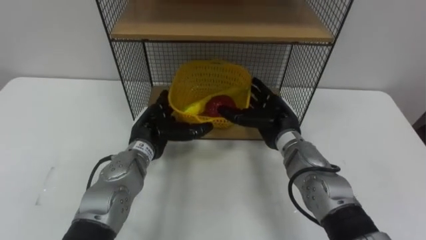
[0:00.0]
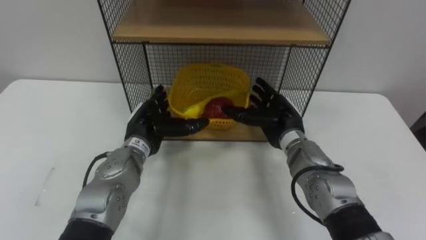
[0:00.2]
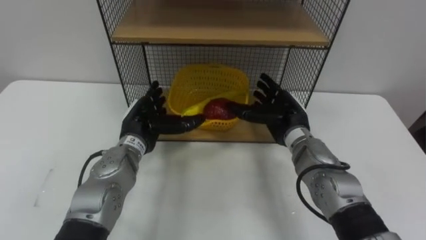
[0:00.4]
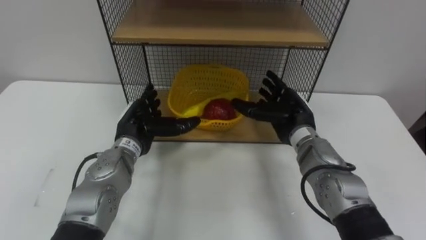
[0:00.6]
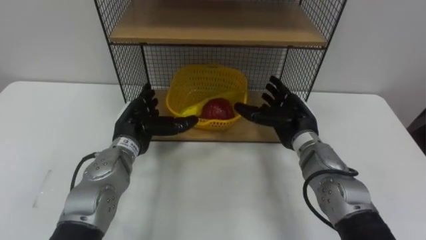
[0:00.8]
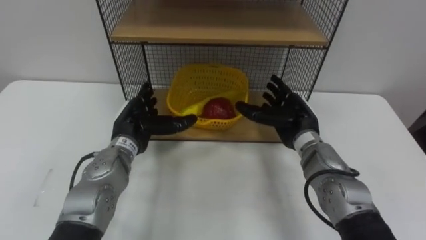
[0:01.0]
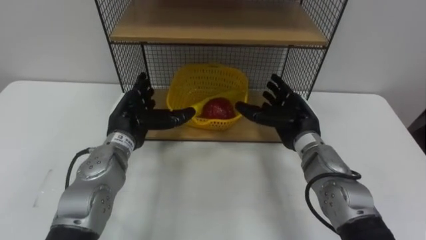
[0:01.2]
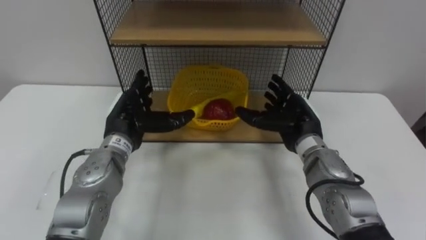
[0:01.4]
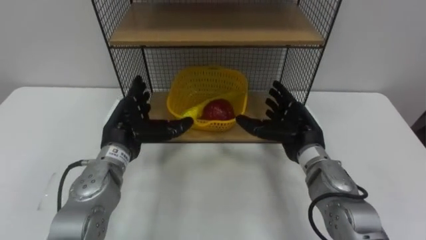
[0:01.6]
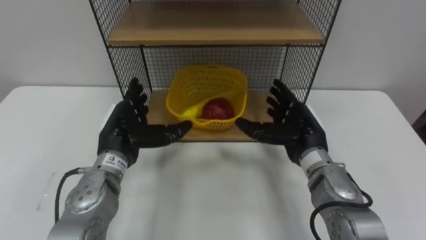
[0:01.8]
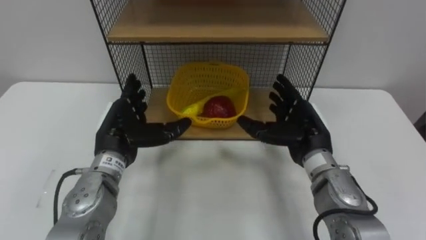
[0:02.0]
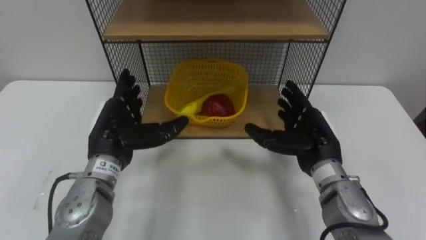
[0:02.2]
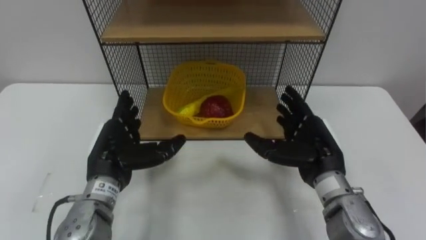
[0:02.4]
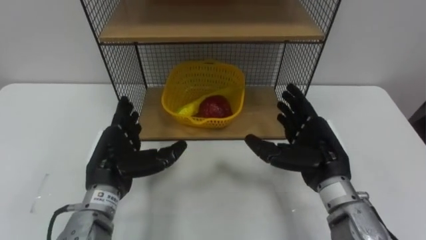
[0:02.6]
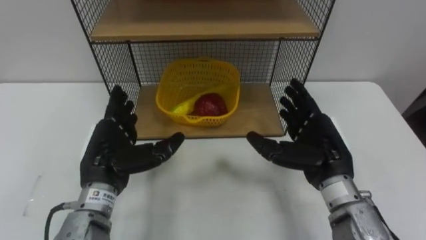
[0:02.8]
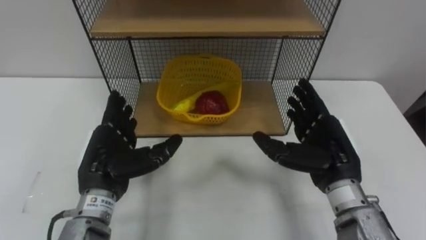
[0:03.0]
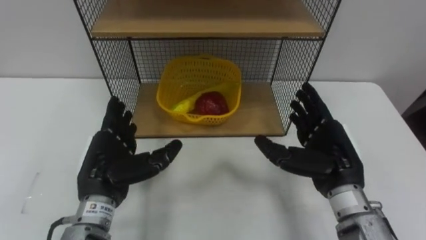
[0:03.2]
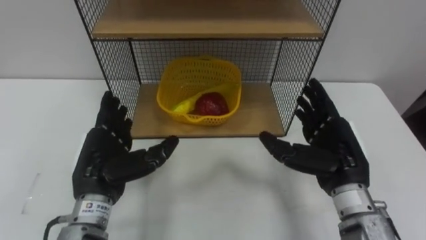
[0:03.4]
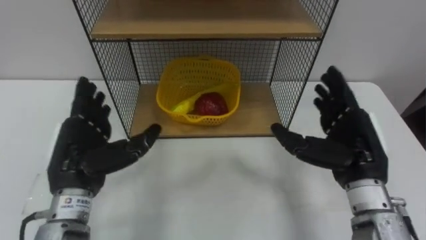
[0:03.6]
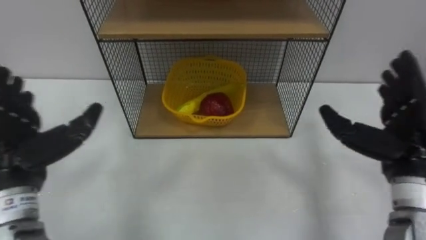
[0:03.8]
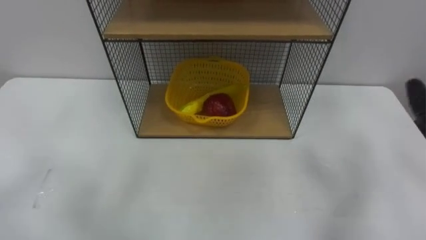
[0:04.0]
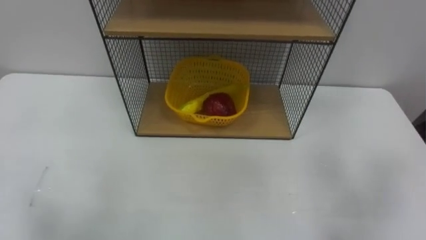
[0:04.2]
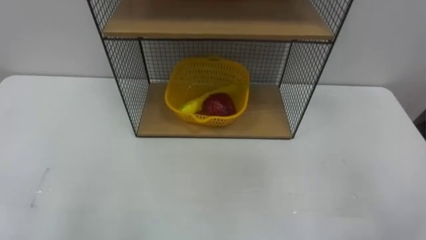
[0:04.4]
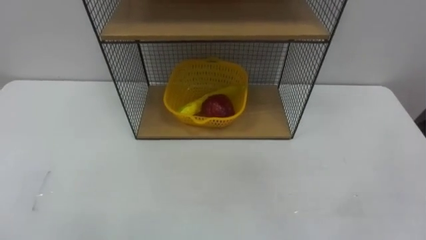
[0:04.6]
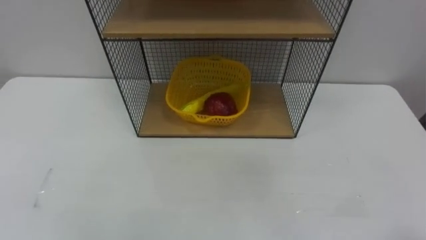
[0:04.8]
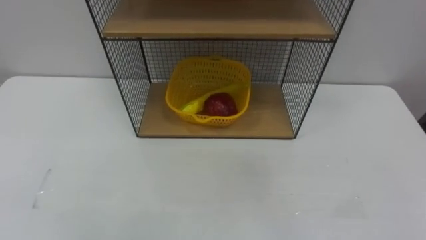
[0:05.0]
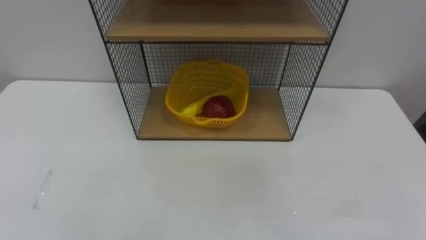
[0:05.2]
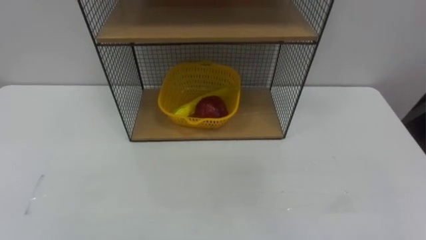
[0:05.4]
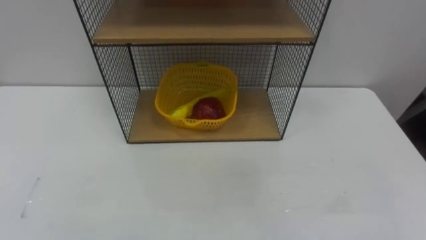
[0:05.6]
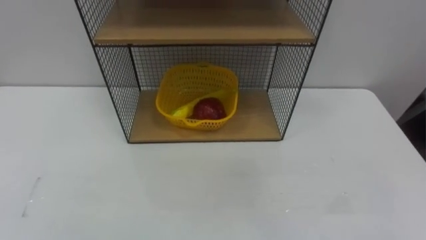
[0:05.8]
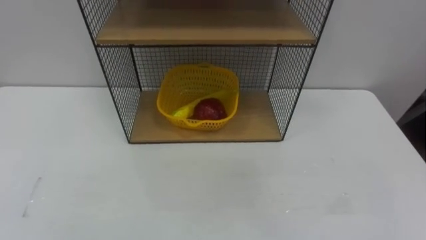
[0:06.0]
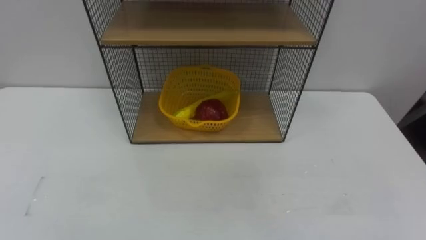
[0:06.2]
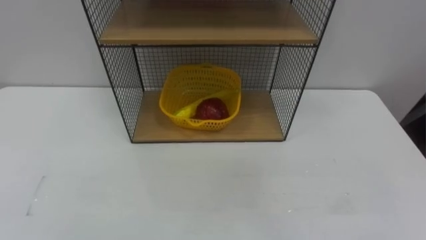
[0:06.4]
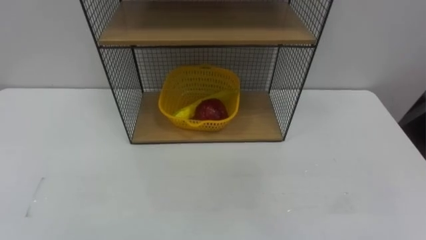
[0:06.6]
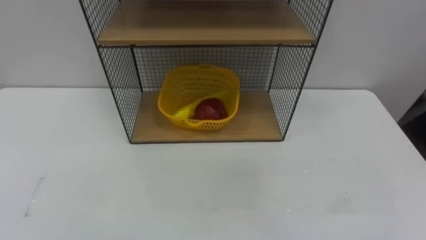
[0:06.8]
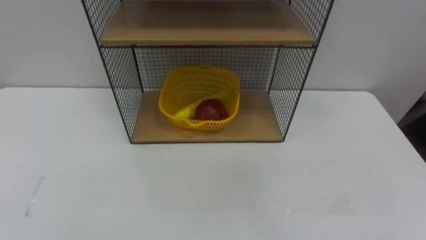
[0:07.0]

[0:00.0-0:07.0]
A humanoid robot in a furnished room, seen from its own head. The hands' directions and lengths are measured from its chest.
Task of the whole recording: Put the fruit on the table into the basket, then place the basket on the shelf.
0:00.0 to 0:01.4: The left hand shifts by approximately 5 cm.
0:01.4 to 0:02.8: The two hands go some 10 cm backward.

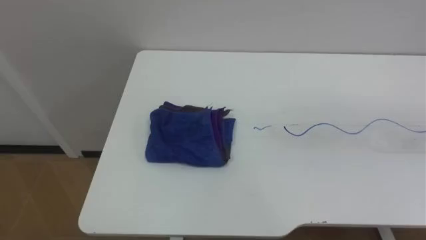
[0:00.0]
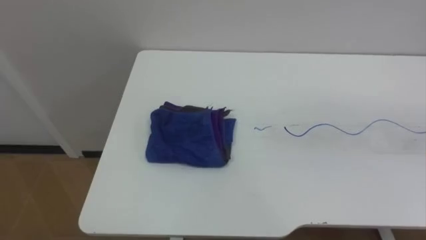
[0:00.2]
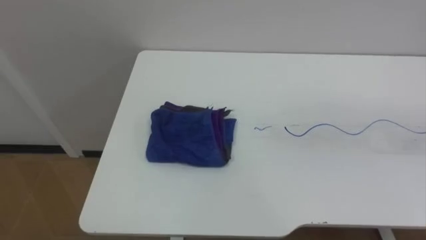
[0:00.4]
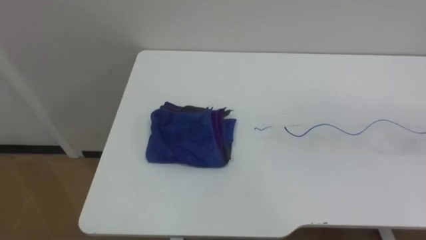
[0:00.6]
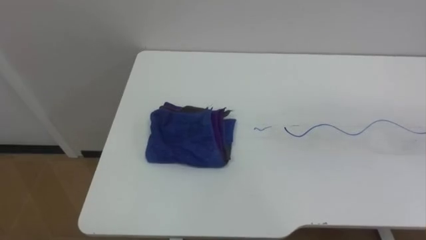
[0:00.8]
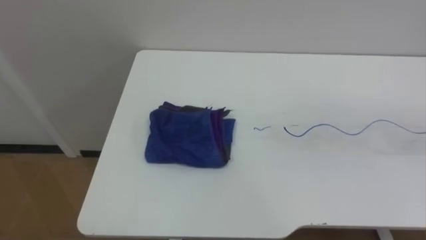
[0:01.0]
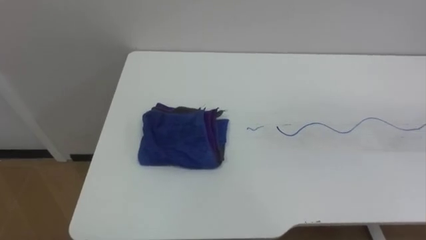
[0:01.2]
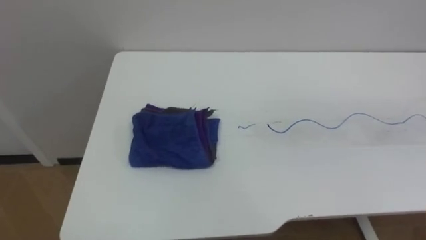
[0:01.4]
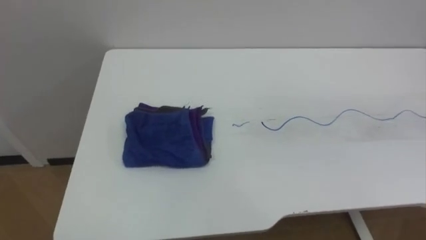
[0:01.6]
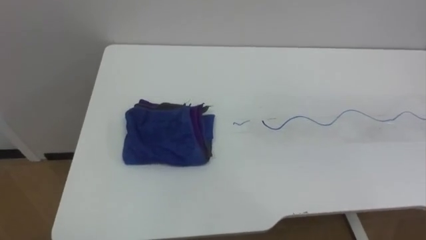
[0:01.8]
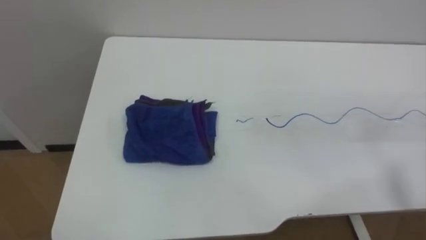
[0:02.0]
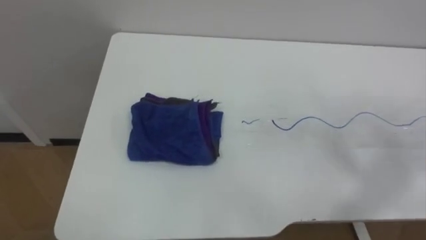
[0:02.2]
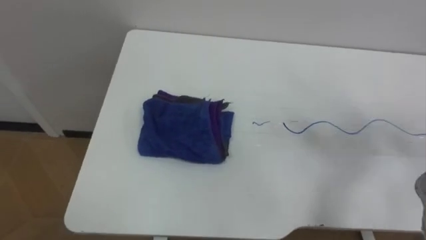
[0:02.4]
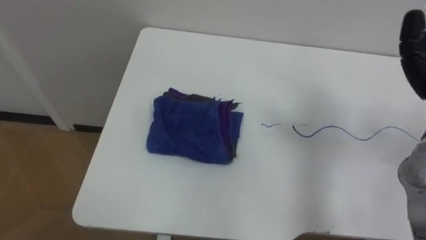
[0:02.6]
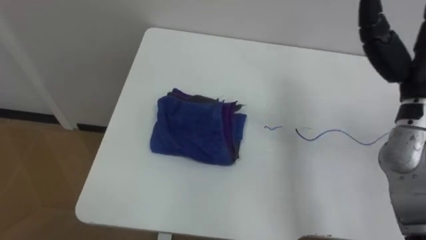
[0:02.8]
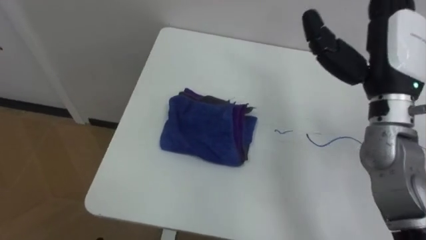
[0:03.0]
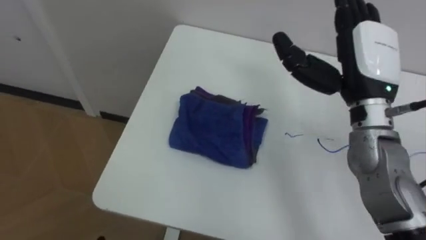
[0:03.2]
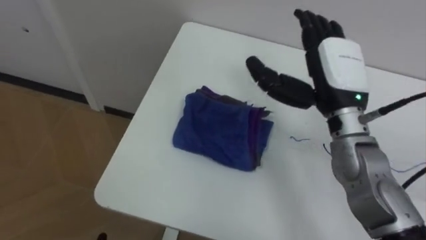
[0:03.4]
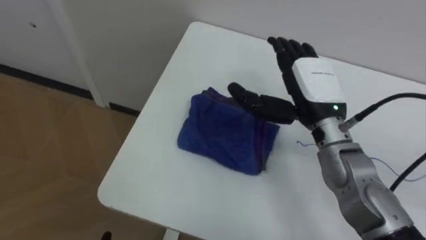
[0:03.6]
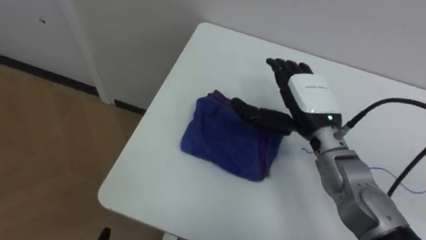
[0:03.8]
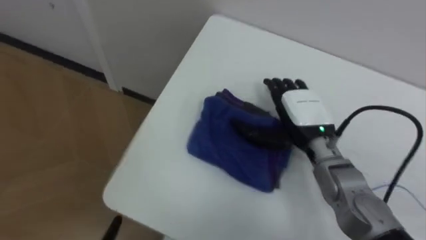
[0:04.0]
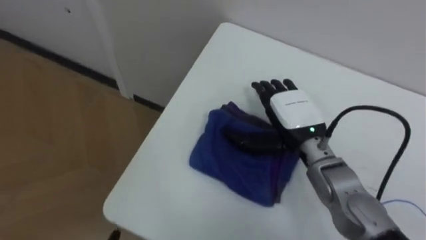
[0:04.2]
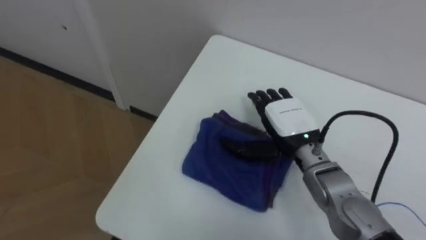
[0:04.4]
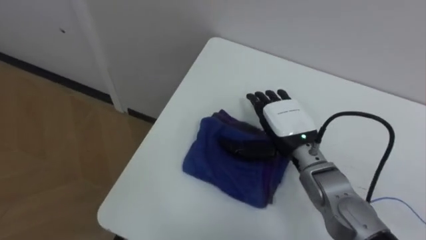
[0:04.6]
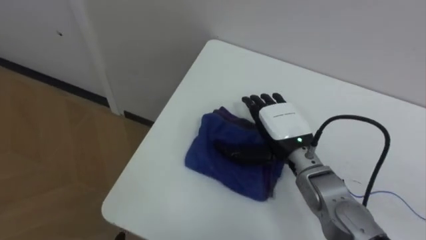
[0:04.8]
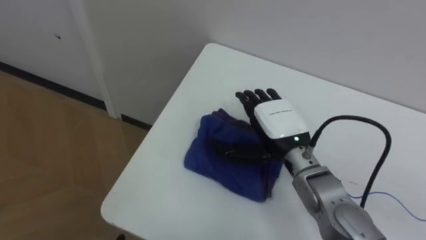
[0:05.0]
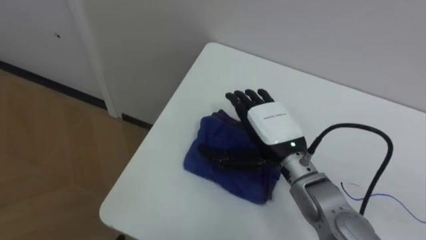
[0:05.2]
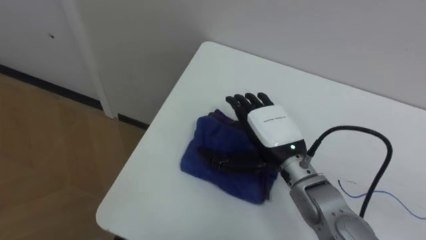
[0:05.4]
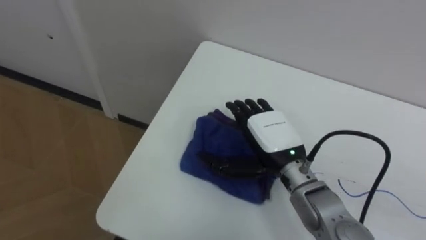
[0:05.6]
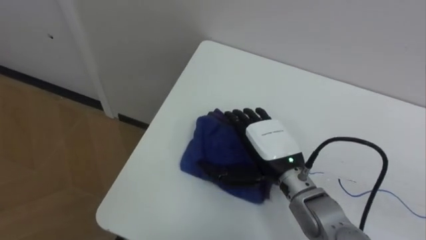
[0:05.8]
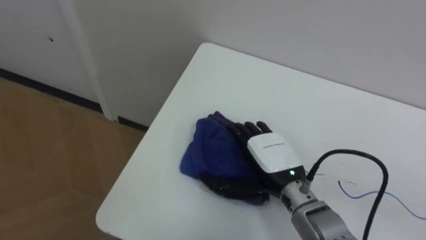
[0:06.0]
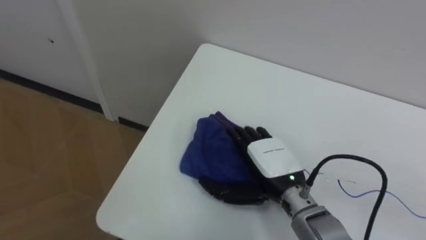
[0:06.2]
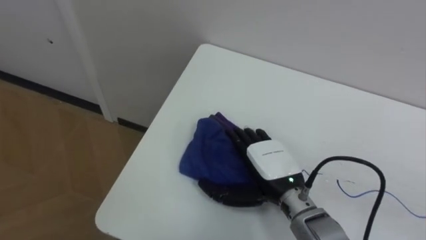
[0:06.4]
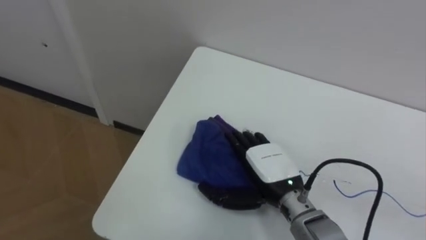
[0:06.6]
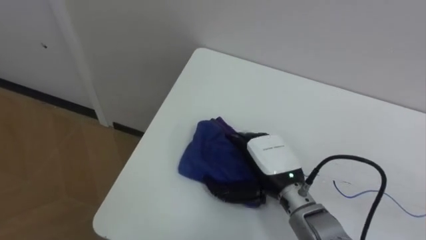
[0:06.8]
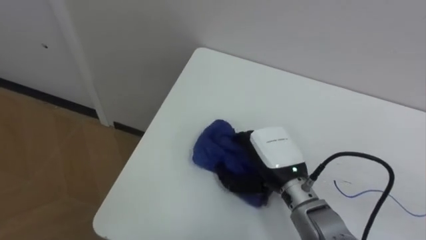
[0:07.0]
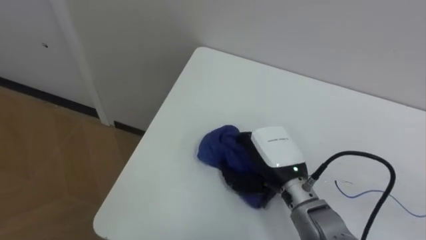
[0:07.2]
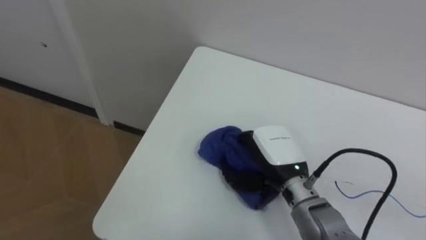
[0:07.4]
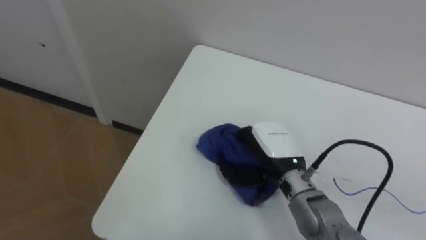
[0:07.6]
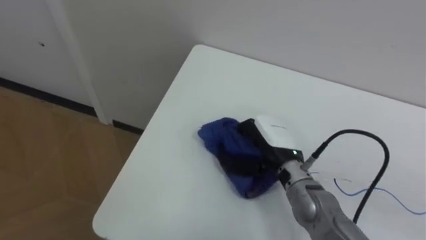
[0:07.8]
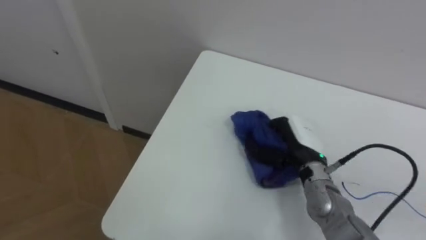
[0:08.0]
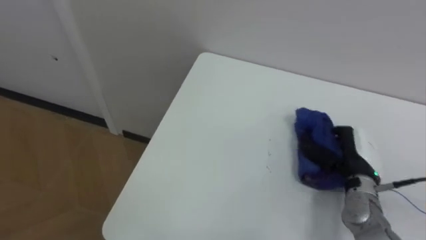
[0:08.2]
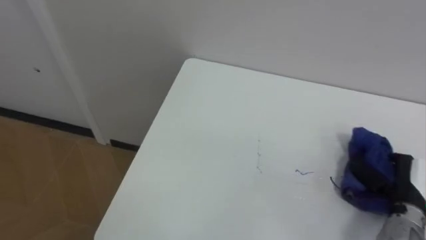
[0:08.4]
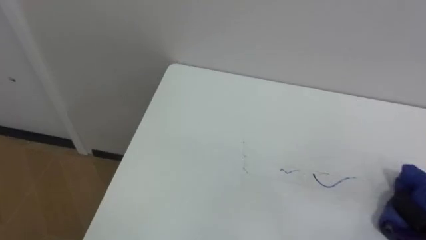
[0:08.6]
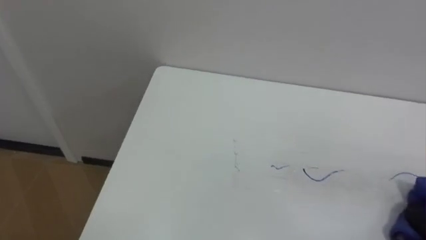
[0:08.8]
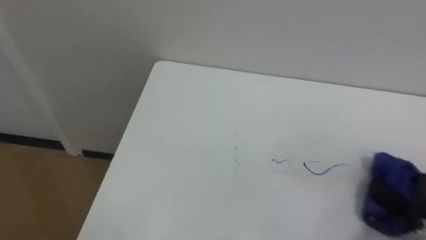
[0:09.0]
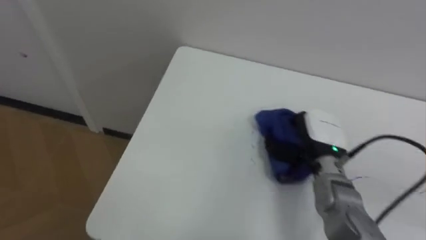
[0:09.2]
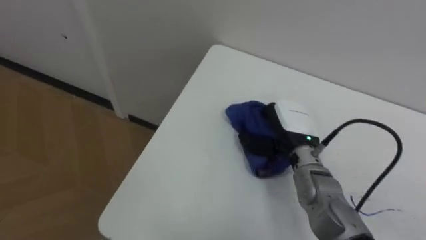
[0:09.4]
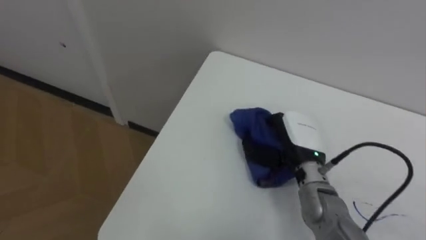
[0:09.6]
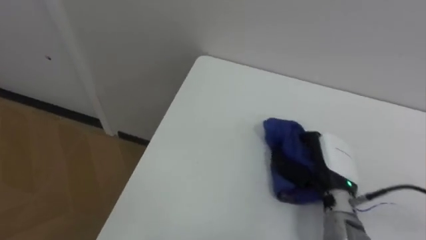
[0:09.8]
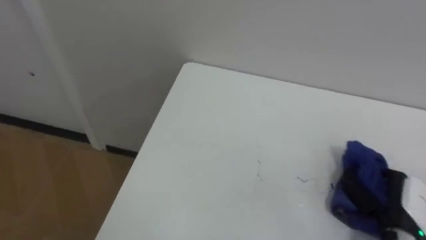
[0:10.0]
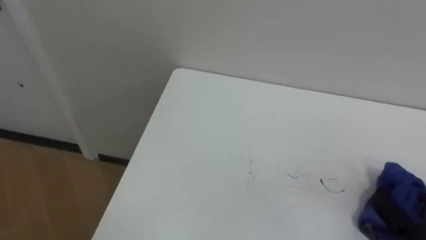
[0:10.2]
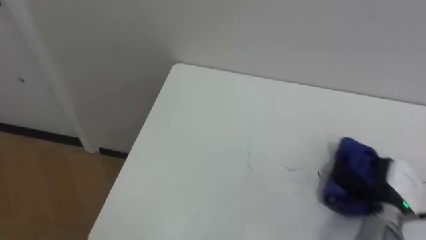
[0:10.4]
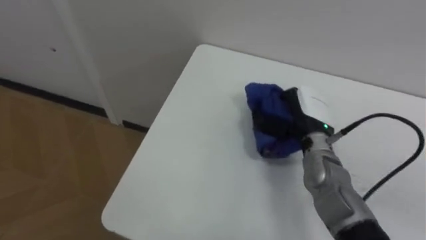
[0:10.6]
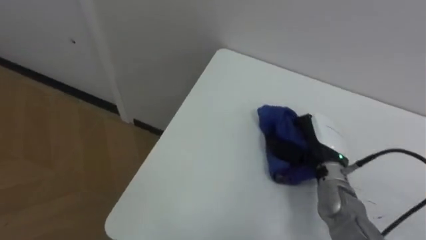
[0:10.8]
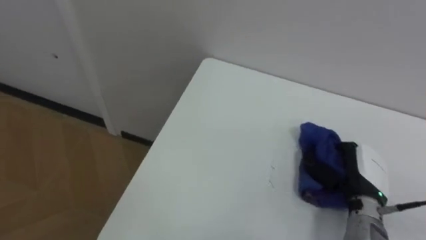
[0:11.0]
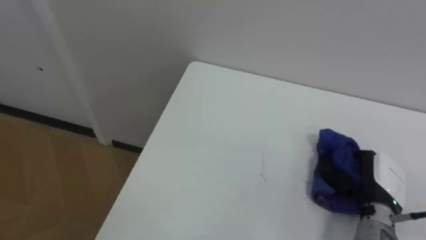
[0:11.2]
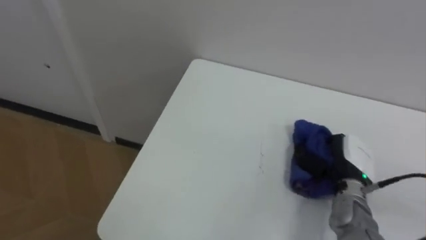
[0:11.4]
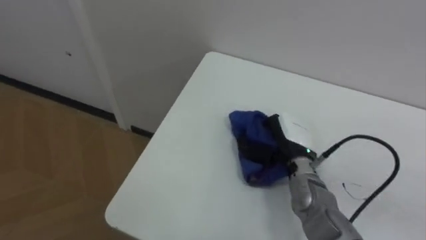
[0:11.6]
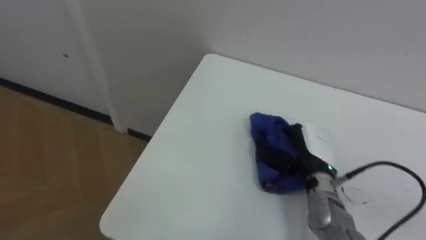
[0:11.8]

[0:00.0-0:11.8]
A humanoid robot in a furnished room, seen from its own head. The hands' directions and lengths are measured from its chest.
Task of the whole recording: Wipe the blue pen marks off the table with the rag.
0:03.0 to 0:04.4: The right hand goes some 20 cm downward and to the left.
0:04.4 to 0:06.0: The right hand goes roughly 5 cm backward.
0:06.0 to 0:07.4: The right hand closes.
0:10.4 to 0:11.8: The right hand goes left and right, approximately 20 cm each way, reversing 2 times.
